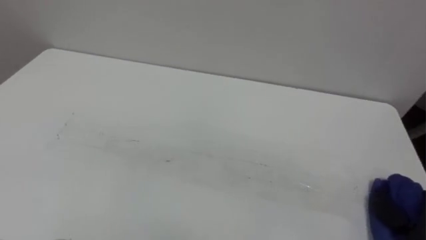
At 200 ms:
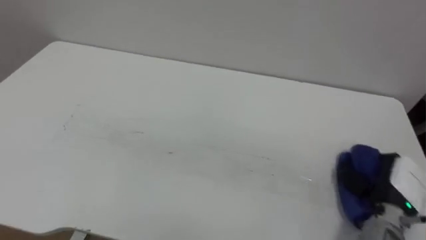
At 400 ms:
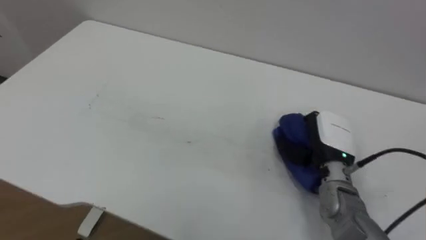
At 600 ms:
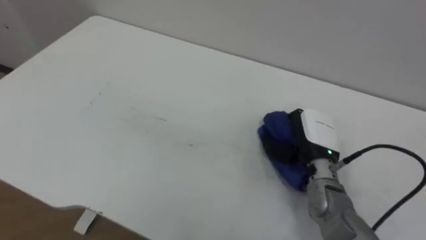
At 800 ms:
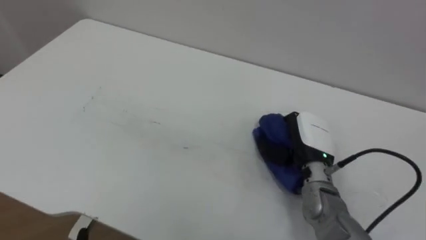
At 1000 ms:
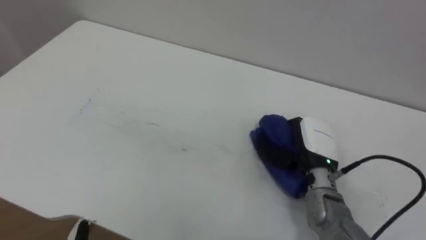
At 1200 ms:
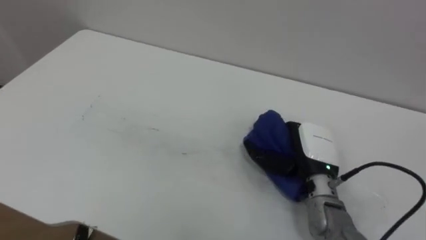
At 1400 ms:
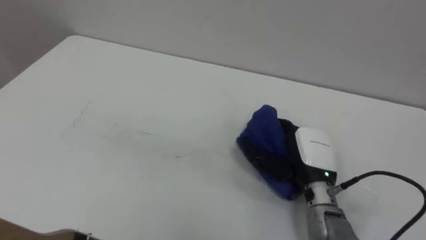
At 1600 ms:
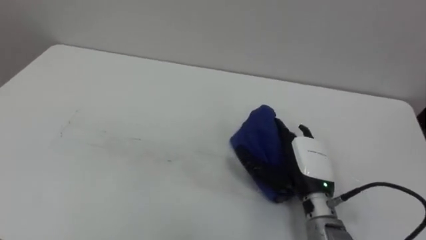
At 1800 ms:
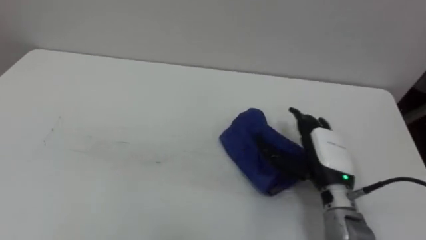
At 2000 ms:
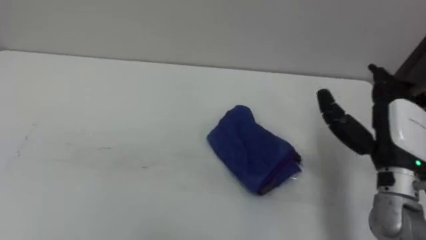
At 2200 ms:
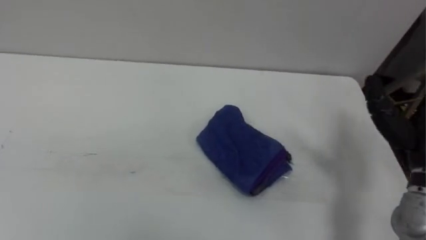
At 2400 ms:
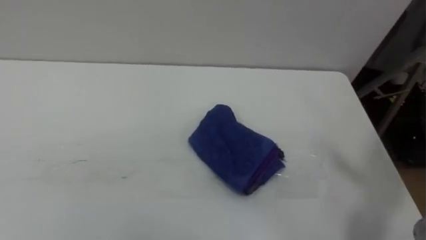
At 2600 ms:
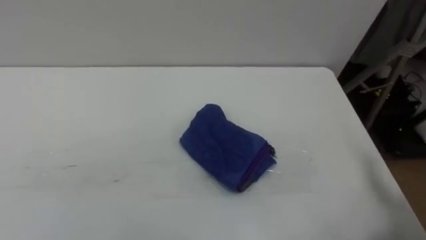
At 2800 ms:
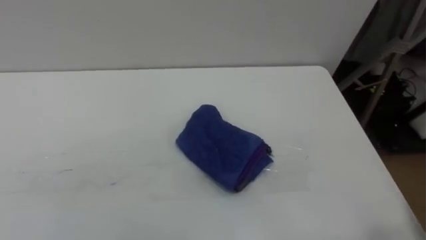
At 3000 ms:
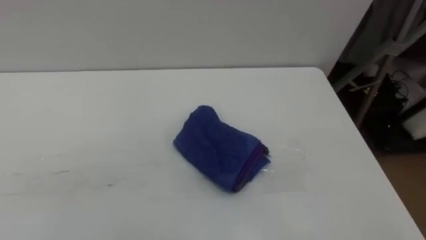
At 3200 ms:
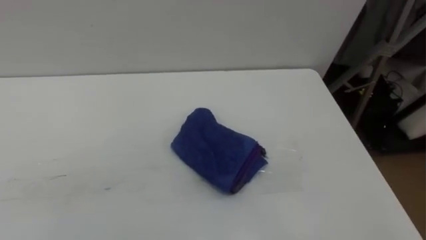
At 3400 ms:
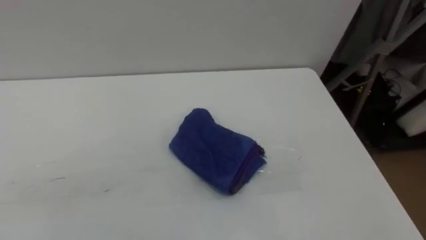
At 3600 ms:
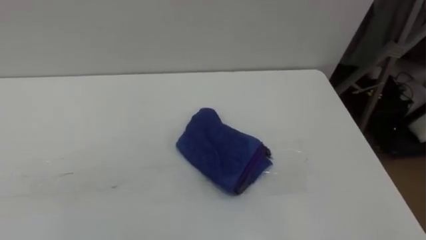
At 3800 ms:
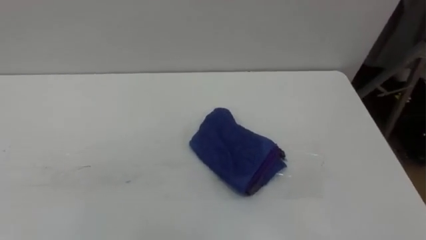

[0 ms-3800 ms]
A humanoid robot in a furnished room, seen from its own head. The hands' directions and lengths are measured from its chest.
Task of the whole recording: Wipe the blue pen marks off the table with the rag.
0 ms to 1200 ms: The right hand moves to the left and forward, roughly 25 cm, and opens.

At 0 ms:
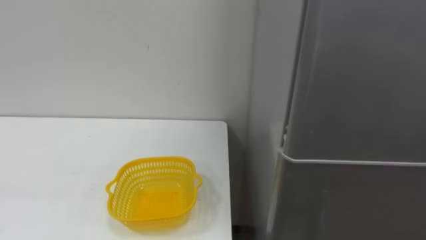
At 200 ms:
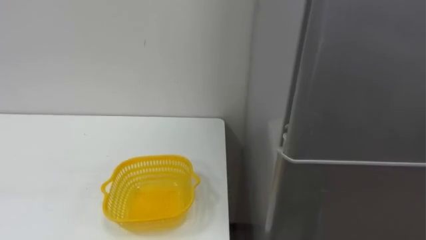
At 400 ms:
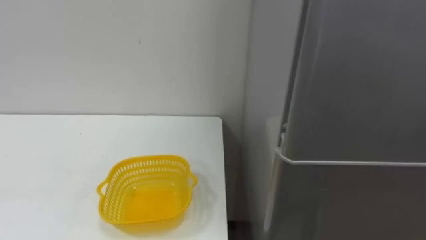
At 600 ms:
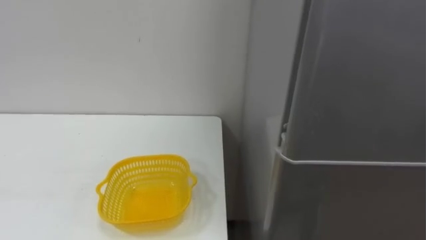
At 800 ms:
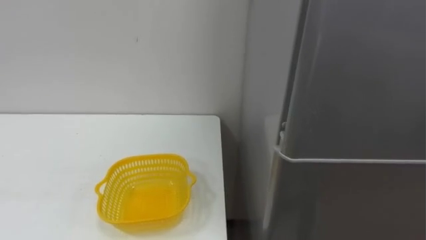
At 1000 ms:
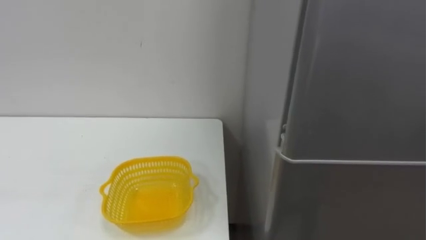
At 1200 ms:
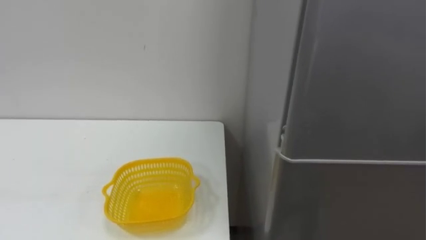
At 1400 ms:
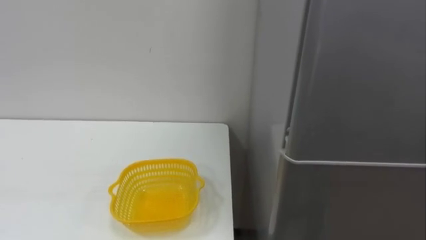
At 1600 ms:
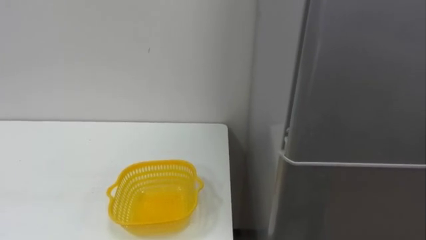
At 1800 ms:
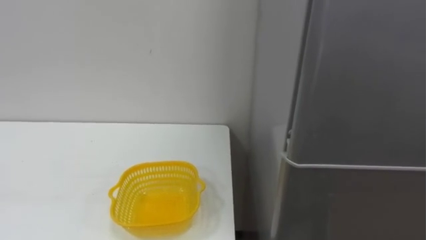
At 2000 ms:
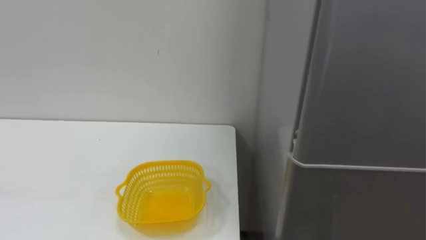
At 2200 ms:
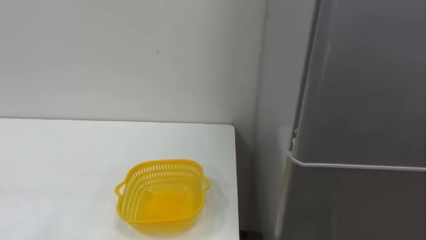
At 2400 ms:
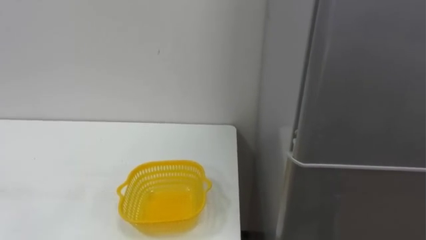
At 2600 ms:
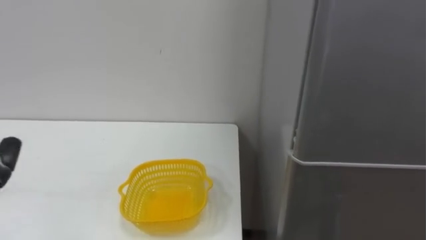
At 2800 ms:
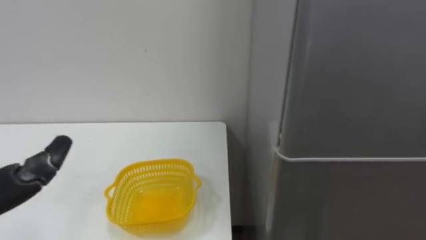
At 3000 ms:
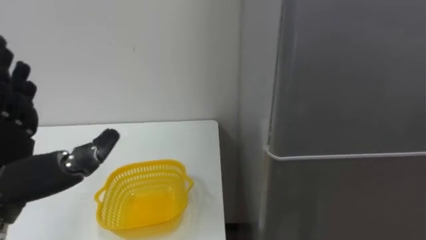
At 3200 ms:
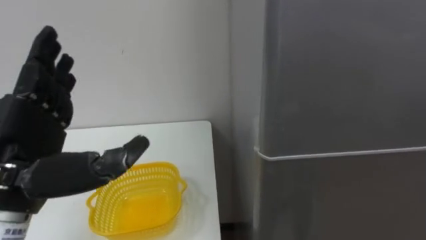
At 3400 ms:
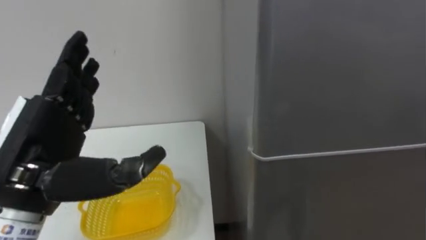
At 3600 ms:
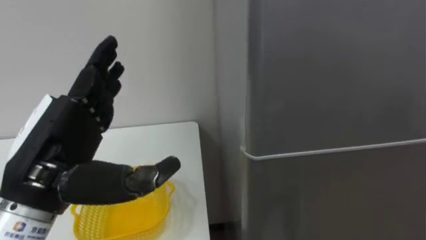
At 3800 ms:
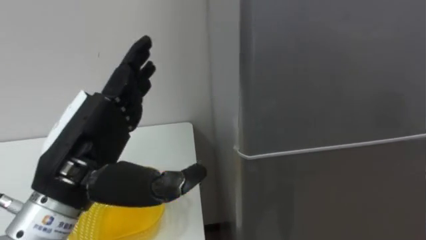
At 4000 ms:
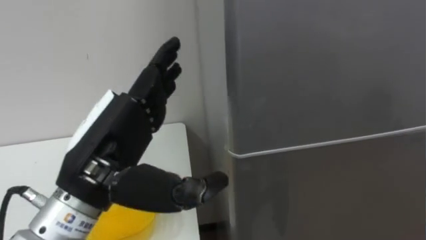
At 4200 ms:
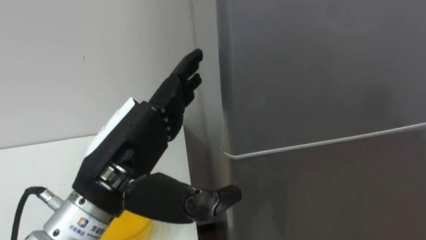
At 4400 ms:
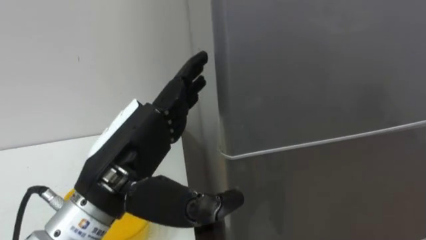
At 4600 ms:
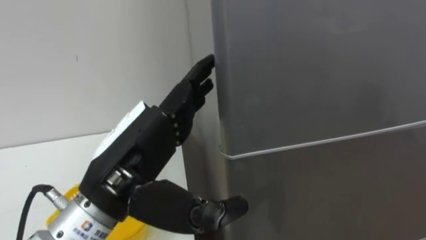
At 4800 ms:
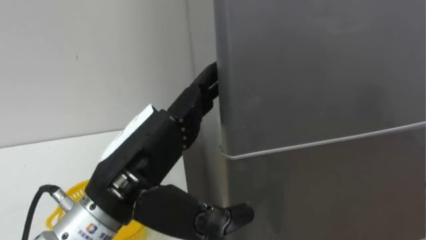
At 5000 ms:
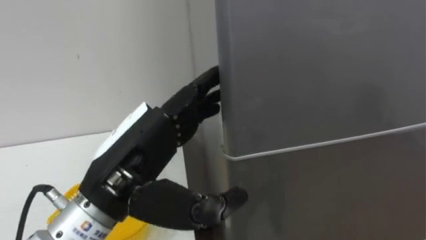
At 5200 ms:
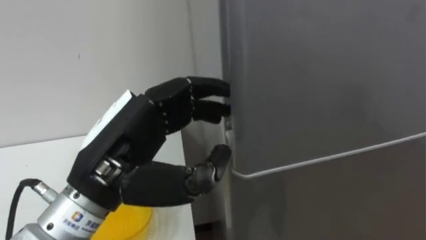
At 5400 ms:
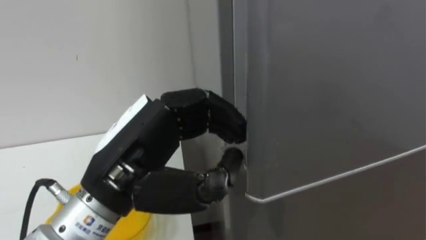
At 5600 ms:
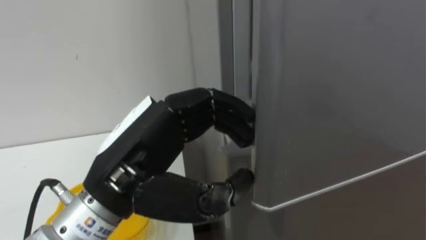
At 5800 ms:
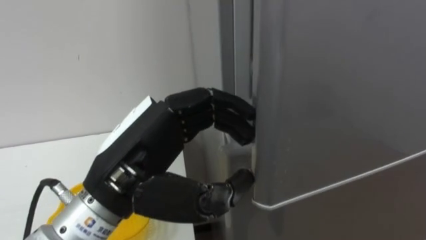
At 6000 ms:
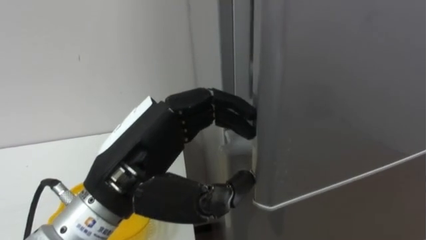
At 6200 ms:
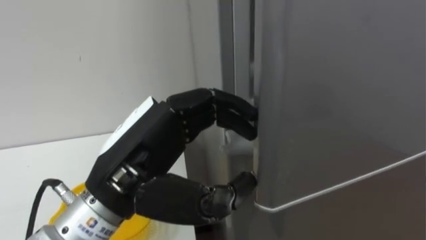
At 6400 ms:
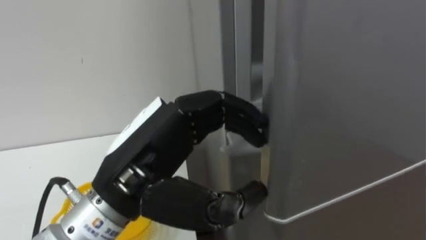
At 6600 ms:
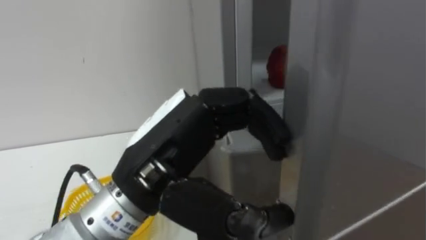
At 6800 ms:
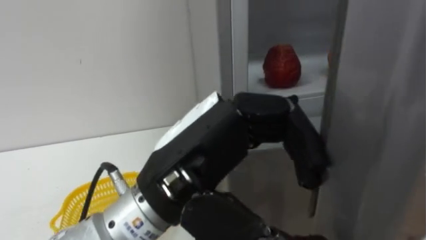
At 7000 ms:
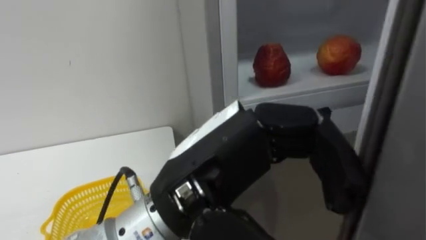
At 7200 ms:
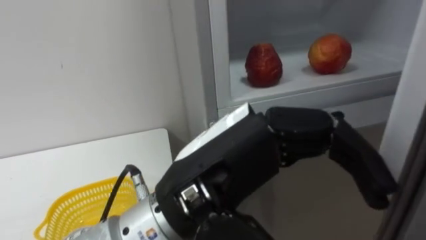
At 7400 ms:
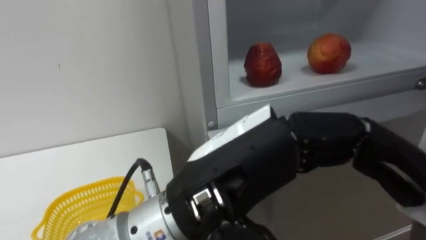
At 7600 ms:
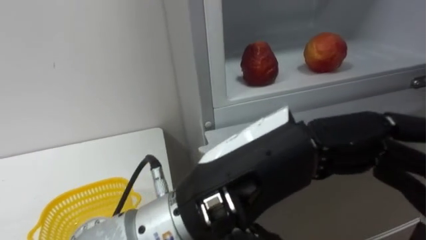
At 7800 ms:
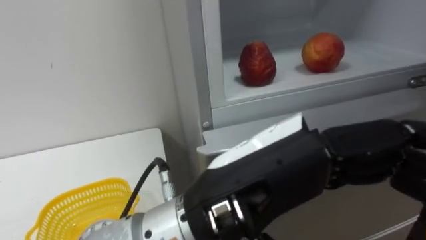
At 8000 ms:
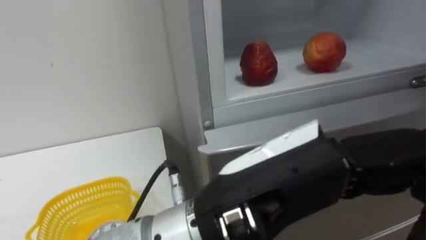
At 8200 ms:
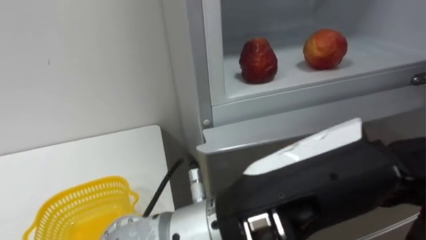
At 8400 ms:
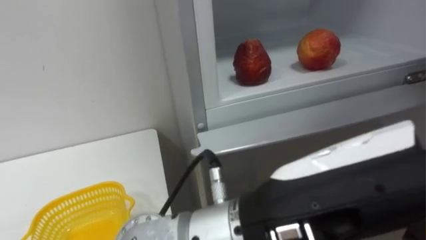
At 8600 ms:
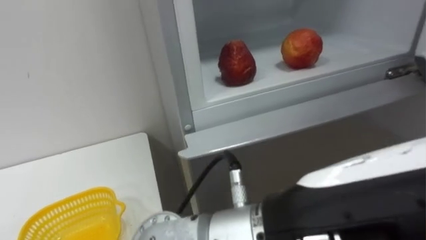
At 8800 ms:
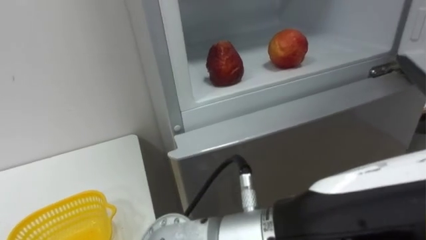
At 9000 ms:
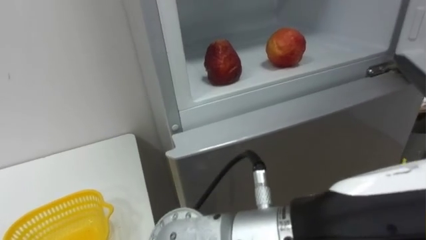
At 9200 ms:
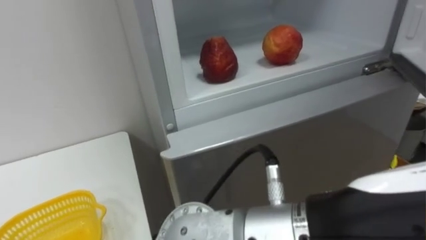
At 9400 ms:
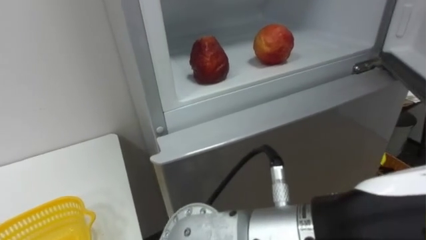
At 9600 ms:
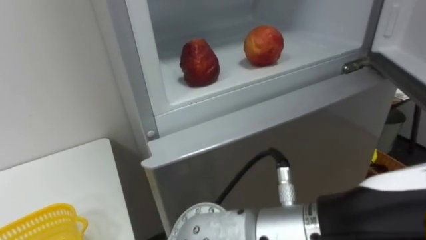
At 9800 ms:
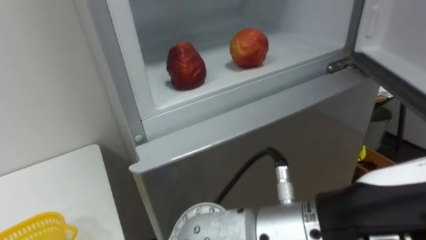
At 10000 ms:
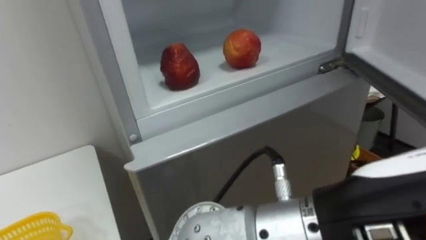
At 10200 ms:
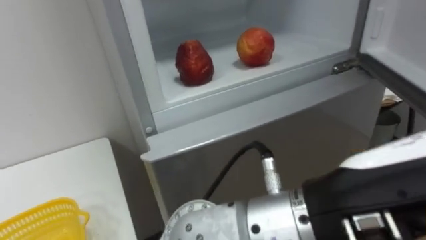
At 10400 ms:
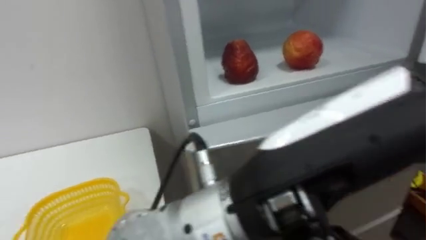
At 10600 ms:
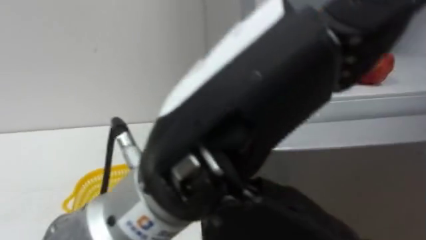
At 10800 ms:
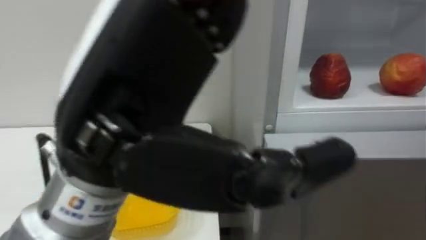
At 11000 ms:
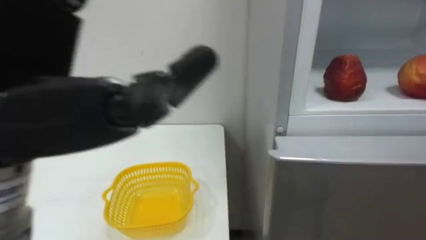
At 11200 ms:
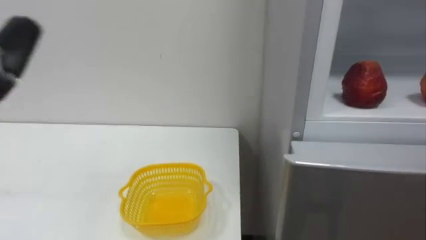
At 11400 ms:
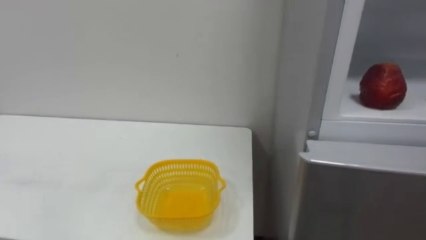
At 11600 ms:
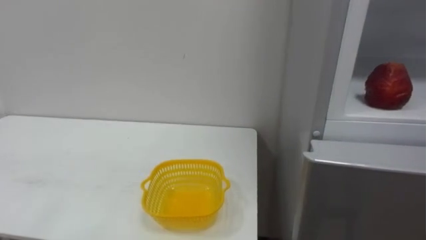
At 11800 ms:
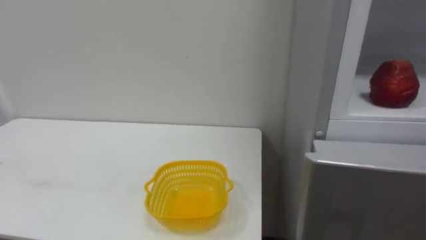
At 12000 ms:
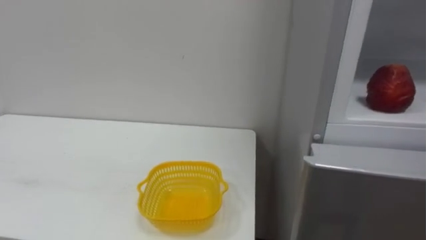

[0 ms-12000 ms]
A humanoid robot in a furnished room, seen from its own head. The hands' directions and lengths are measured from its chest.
Task of the whole recording: Open the refrigerator door, take out the apple and the pomegranate, place them in the fruit basket on the left, and close the refrigerator door.
4400 ms to 6000 ms: The left hand closes, then reopens.
6000 ms to 7600 ms: The left hand heads to the right and backward, covering roughly 10 cm.
7600 ms to 9000 ms: The left hand shifts some 10 cm to the right and backward.

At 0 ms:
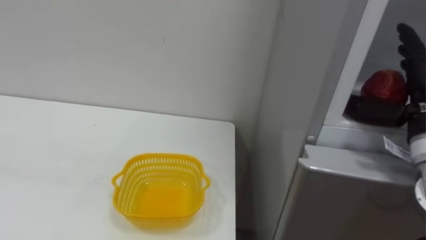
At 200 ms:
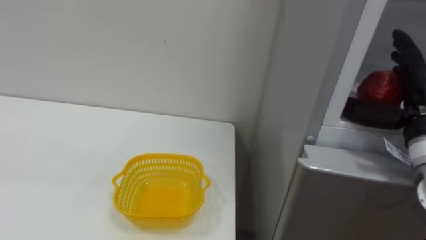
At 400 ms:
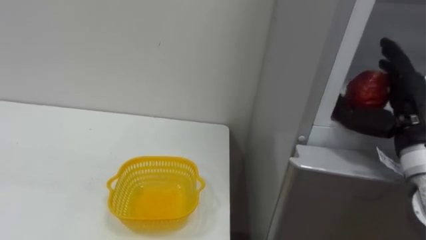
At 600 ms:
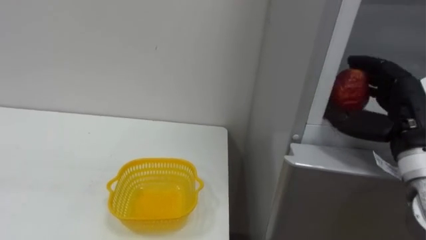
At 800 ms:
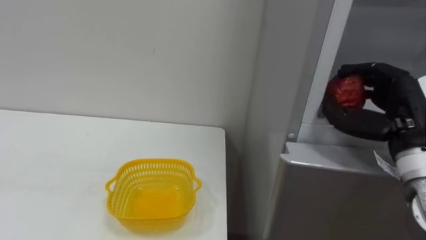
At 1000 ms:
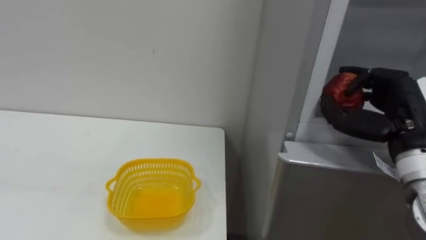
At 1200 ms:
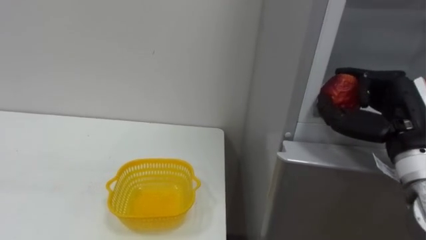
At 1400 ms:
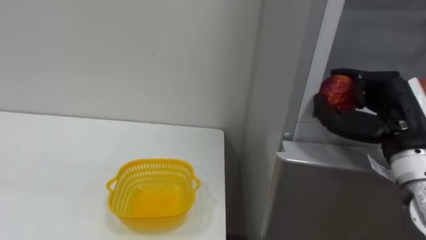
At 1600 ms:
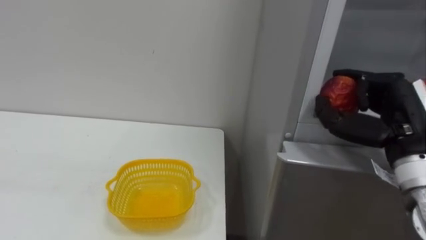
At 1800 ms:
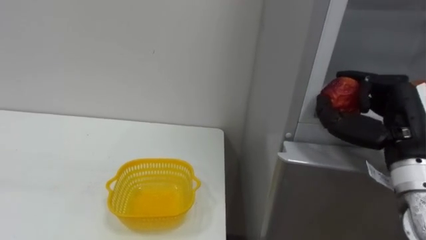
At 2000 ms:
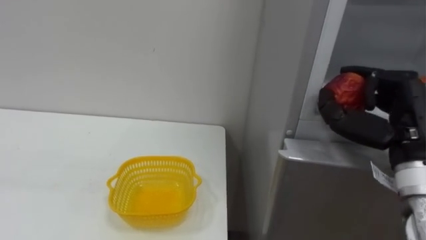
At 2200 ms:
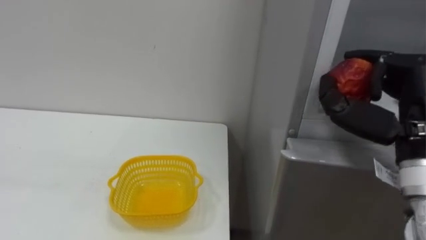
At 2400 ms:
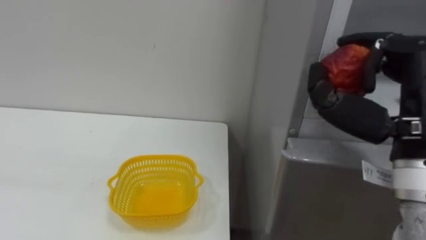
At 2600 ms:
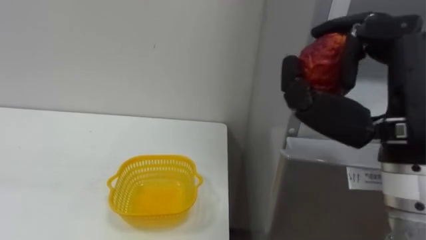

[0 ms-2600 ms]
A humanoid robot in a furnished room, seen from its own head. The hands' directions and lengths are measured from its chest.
Task of the whole recording: Open the refrigerator door, take out the apple and the pomegranate, place them in the fruit basket on the left, and close the refrigerator door.
0 ms to 1200 ms: The right hand closes.
1200 ms to 2600 ms: The right hand goes roughly 15 cm backward, upward and to the left.
